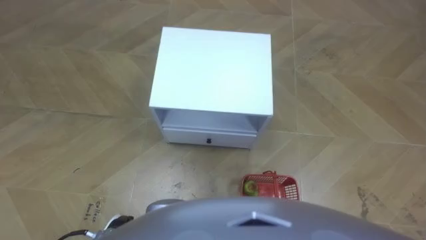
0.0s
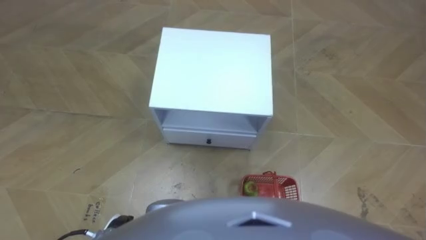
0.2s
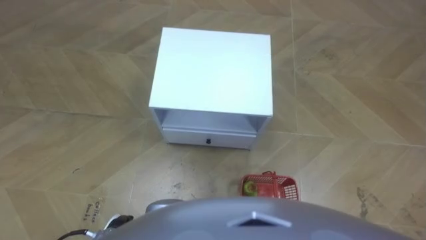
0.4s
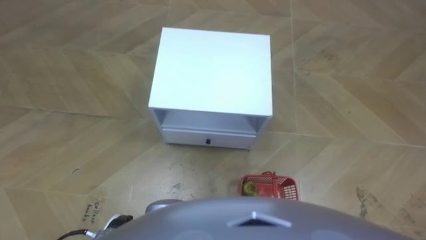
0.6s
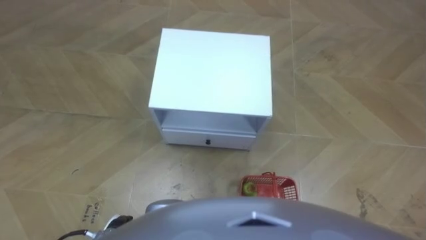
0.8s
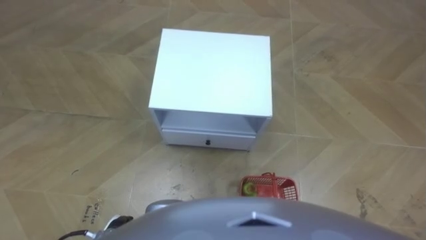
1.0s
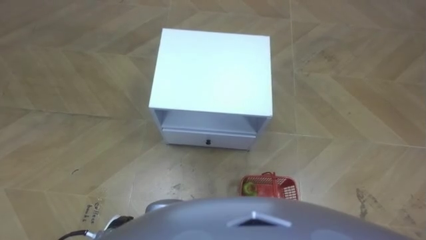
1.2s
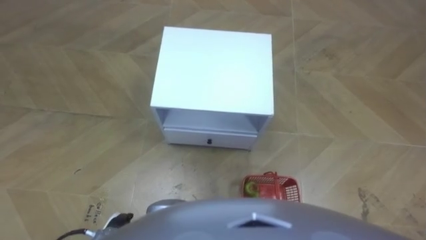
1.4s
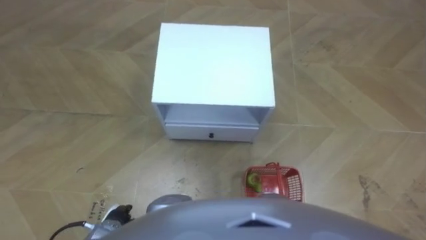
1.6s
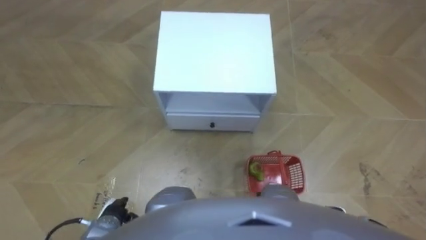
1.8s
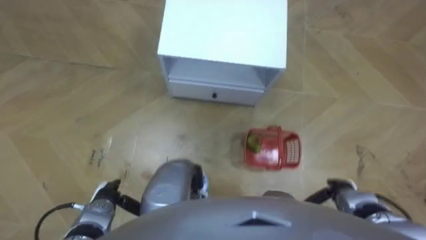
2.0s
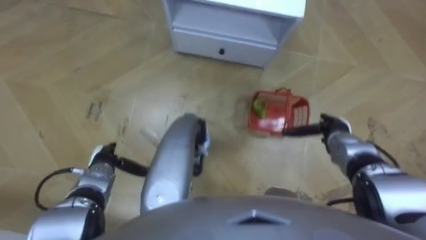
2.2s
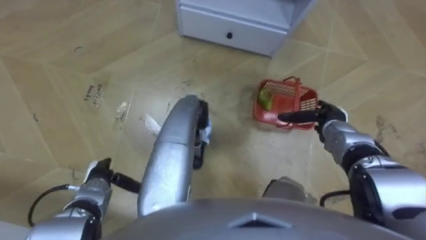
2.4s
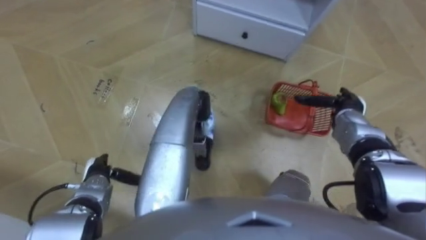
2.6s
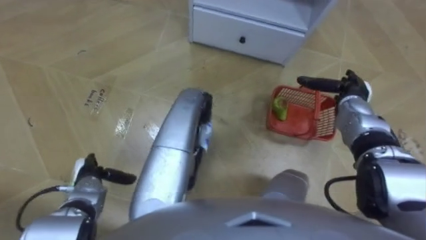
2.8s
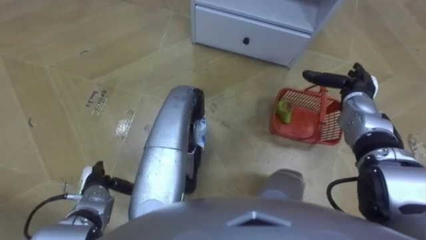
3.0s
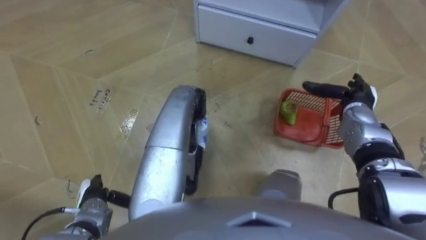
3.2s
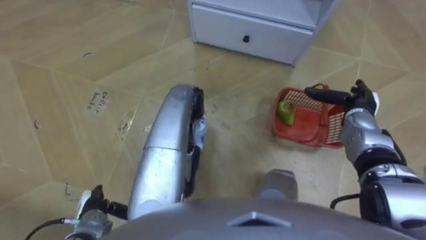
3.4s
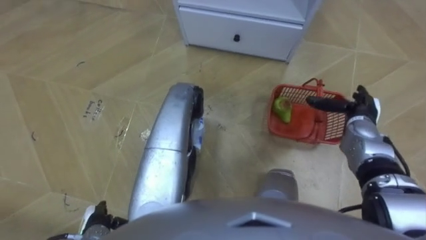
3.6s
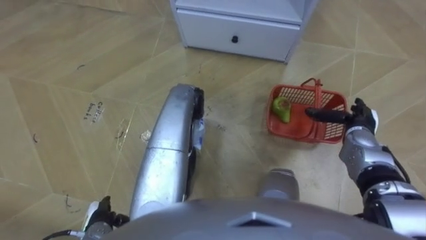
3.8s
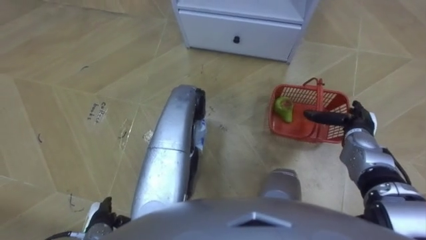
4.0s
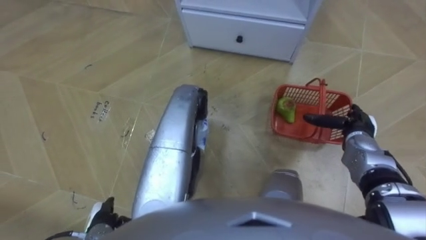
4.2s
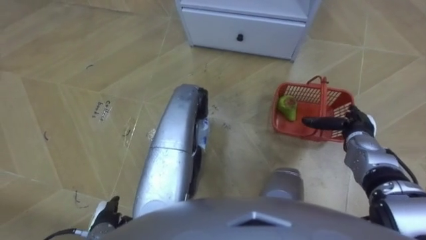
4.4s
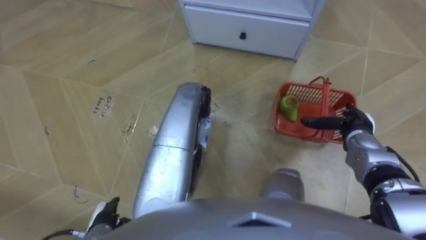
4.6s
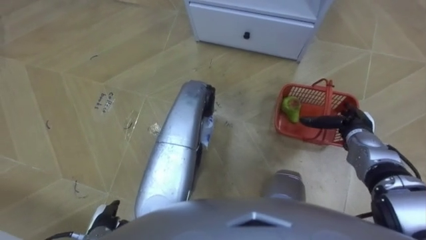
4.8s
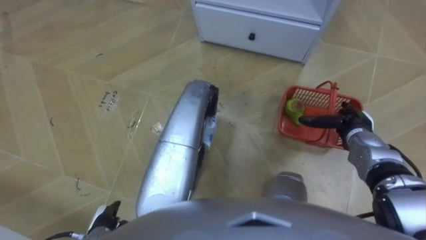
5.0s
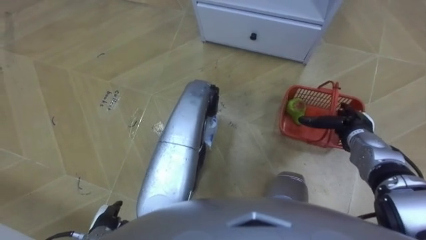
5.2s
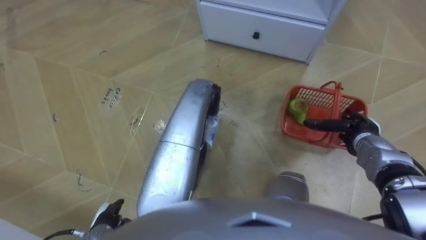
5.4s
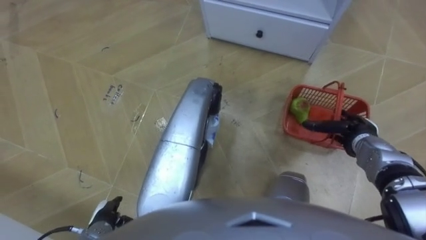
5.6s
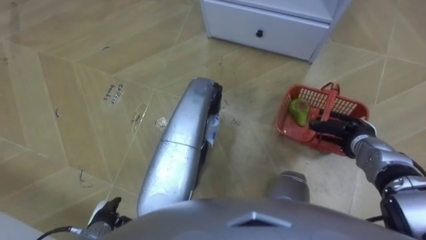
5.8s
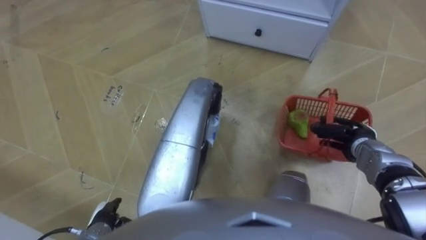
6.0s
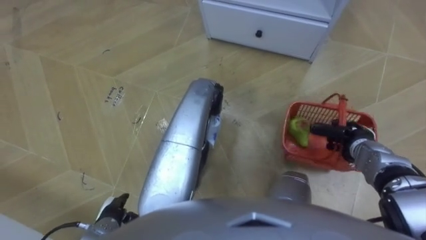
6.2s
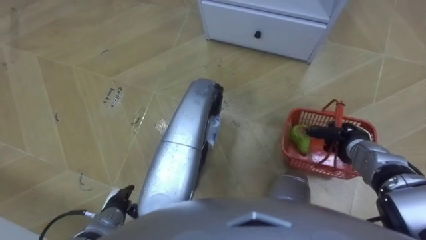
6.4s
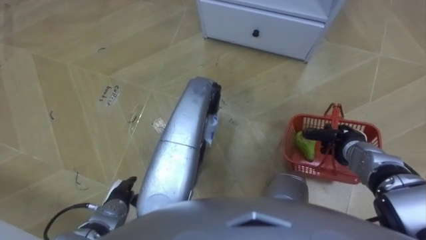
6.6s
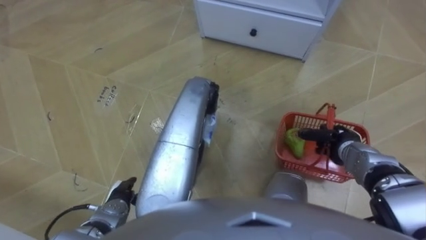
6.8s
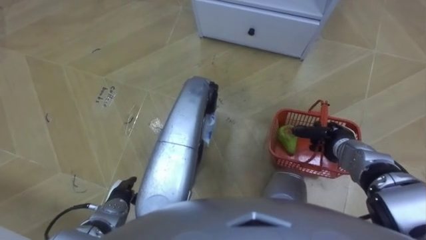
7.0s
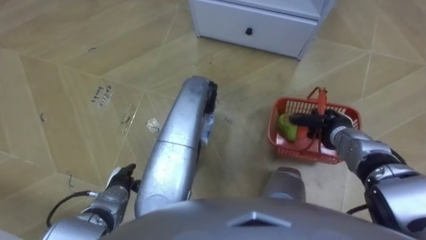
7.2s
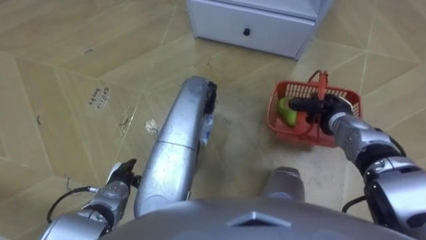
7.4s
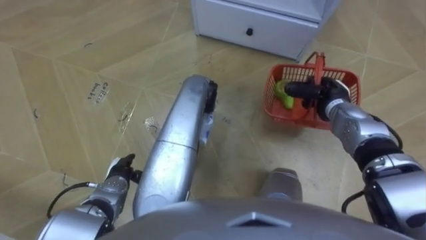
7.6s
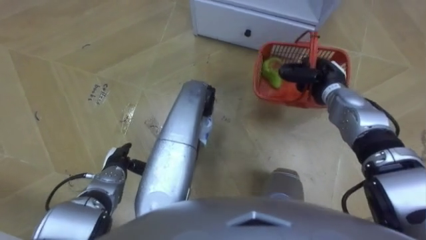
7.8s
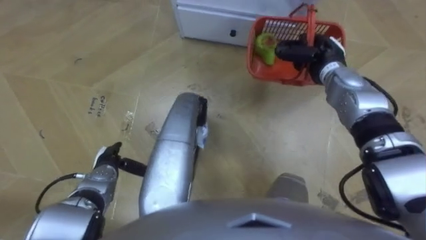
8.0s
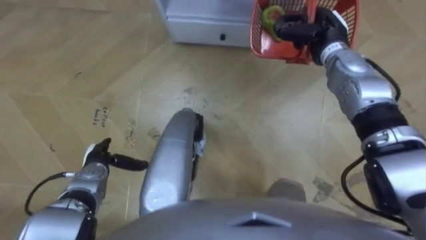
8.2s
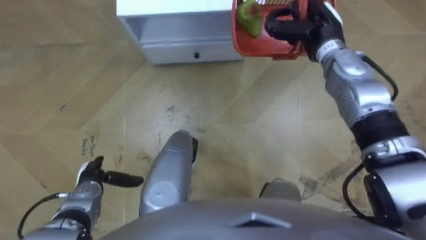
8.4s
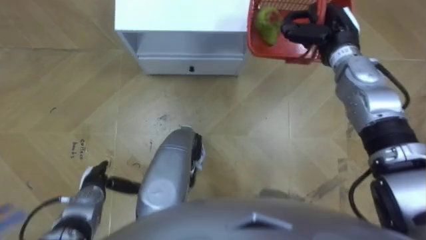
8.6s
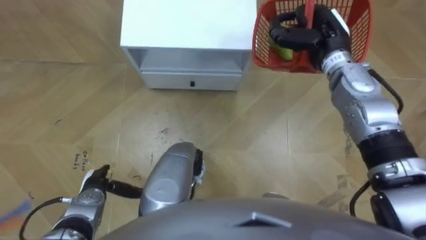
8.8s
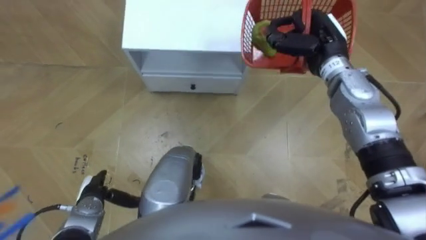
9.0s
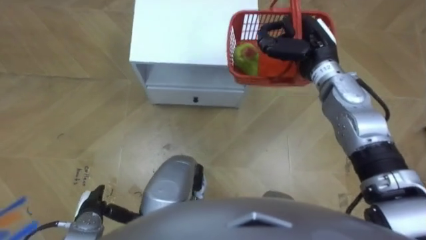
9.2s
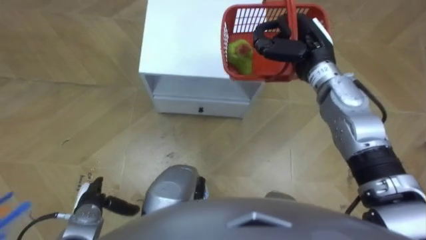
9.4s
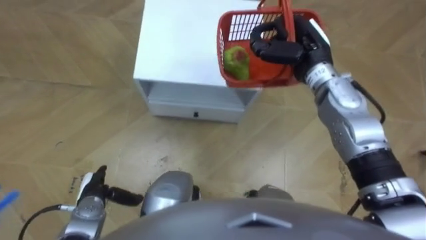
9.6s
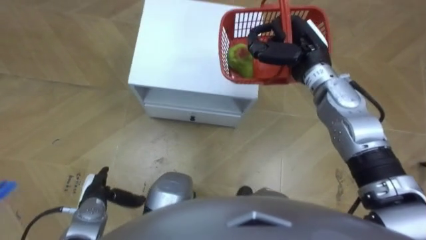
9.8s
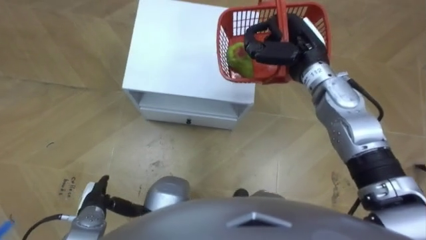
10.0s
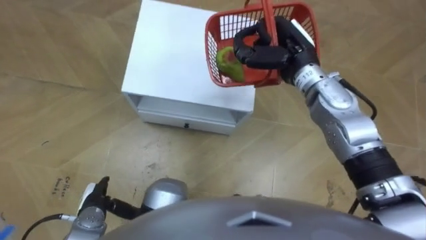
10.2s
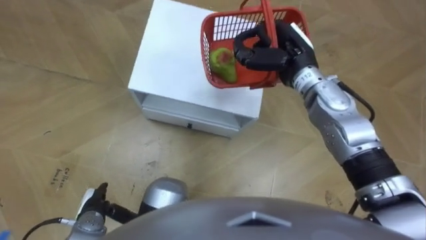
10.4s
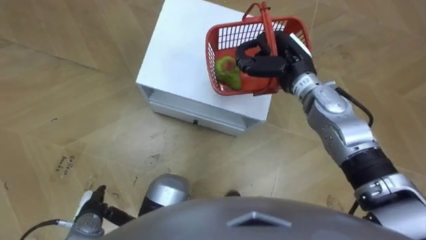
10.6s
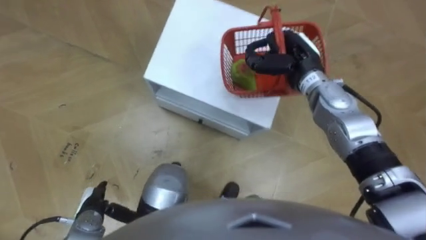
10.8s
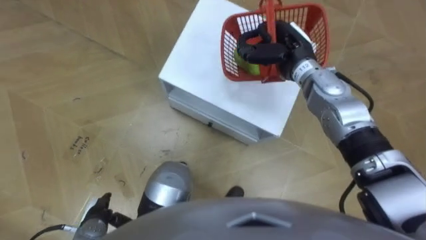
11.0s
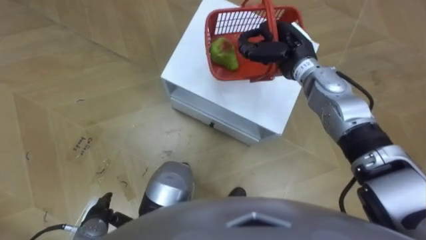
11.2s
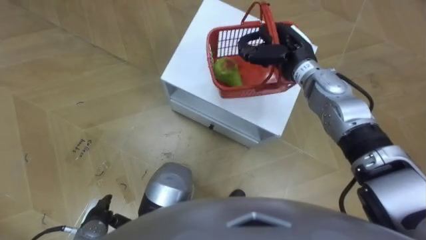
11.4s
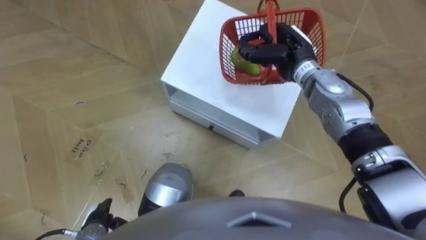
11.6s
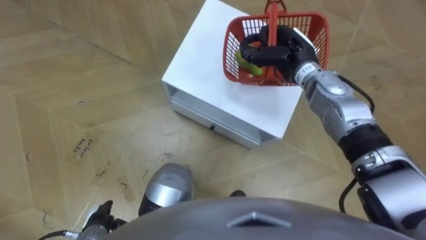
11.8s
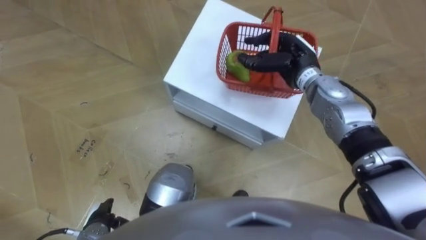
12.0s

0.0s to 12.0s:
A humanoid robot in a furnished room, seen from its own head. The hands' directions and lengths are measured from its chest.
Task of the whole recording: Pick up the fruit basket from the floor and place it on the cabinet.
1.6s to 3.0s: The right hand travels forward by about 30 cm. The left hand travels forward by some 10 cm.
3.0s to 4.4s: The two hands go about 10 cm backward.
4.4s to 6.0s: The right hand closes its fingers.
6.0s to 7.6s: The left hand is displaced forward by approximately 10 cm, while the right hand is displaced forward and to the left by roughly 10 cm.
7.6s to 9.0s: The robot faces roughly 20 degrees further to its right. The right hand shifts approximately 15 cm upward, forward and to the left. Meanwhile the left hand goes some 5 cm to the left.
9.0s to 10.4s: The right hand travels to the left by some 5 cm.
10.4s to 12.0s: The right hand is displaced downward by roughly 5 cm.

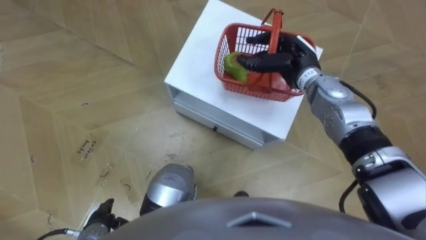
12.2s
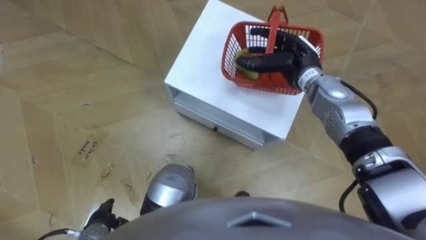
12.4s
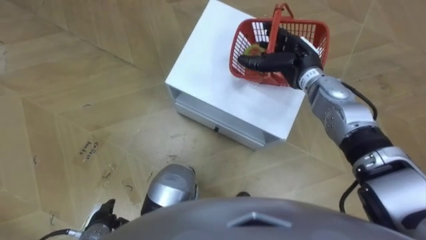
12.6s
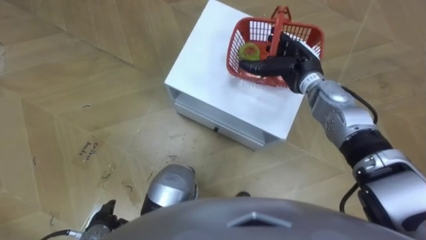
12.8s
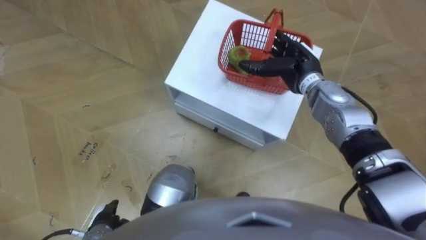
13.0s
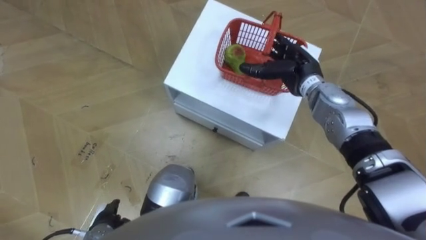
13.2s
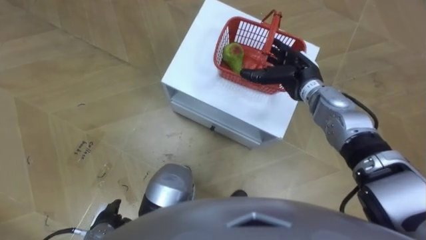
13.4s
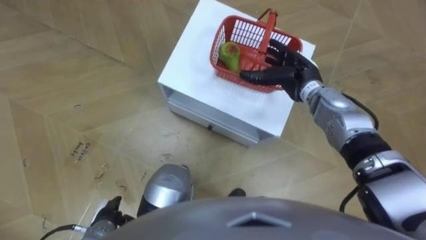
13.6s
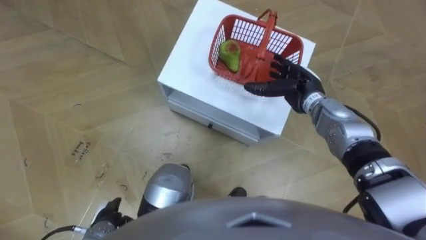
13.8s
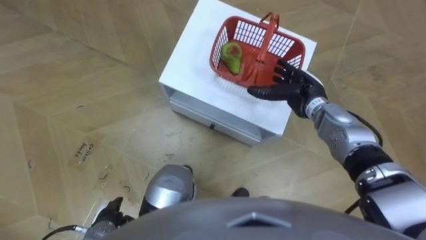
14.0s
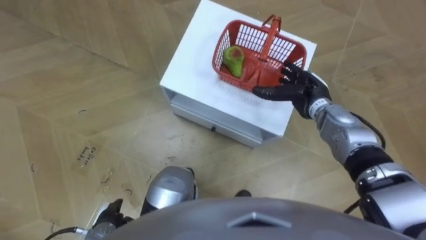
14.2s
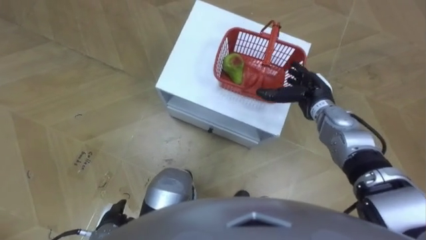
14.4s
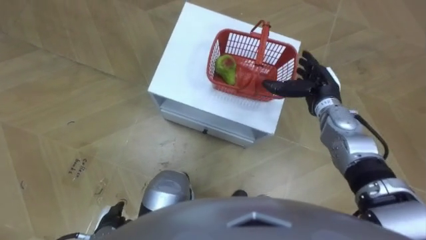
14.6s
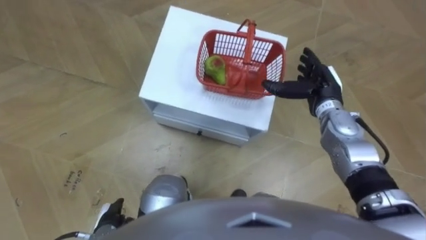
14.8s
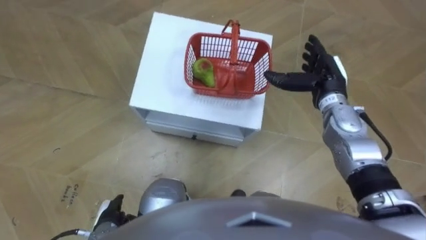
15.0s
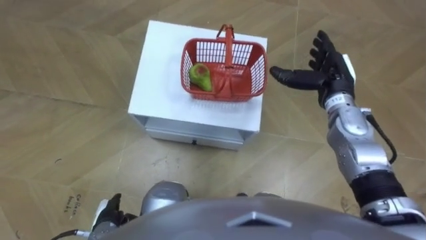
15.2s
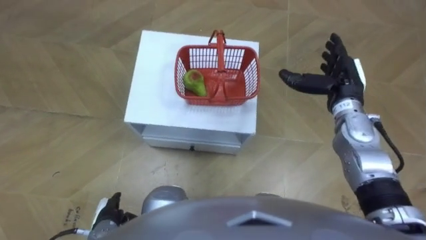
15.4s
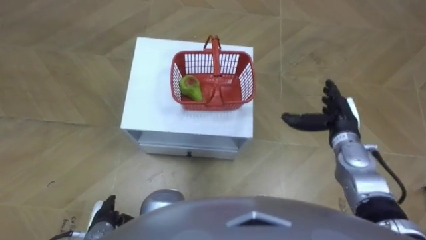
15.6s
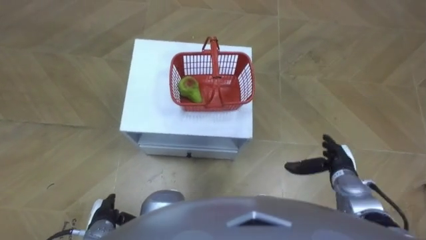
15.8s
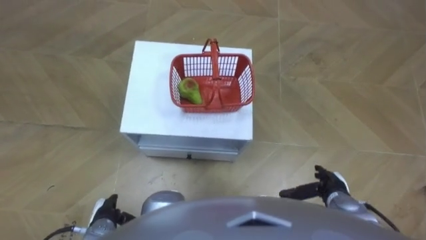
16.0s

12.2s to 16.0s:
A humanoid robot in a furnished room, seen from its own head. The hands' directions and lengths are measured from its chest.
Task of the whole recording: Pick up the fruit basket from the floor and place it on the cabinet.
12.2s to 13.4s: The right hand opens its fingers.
13.4s to 14.8s: The right hand changes place by some 5 cm.
14.8s to 16.0s: The right hand shifts approximately 25 cm backward and downward.

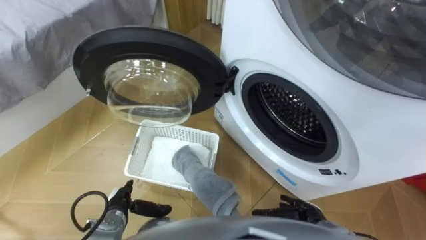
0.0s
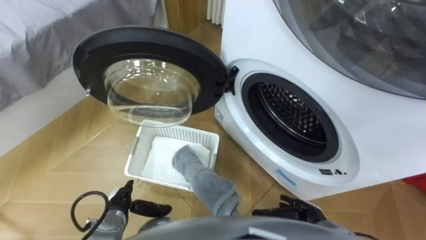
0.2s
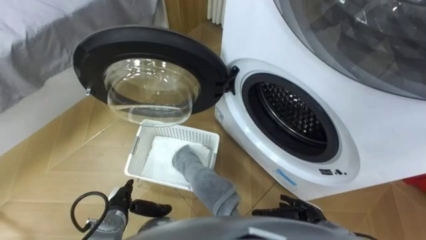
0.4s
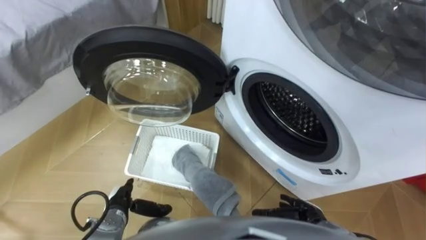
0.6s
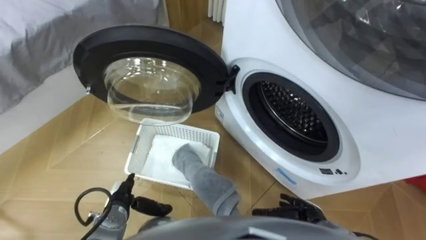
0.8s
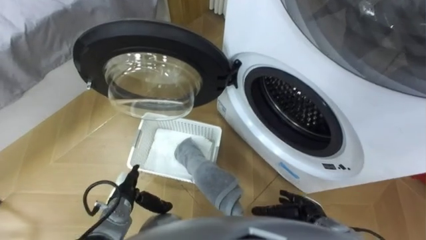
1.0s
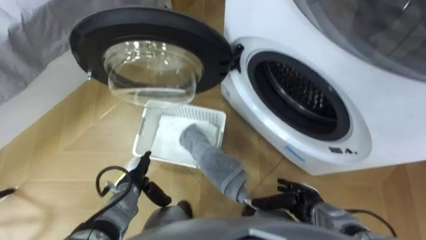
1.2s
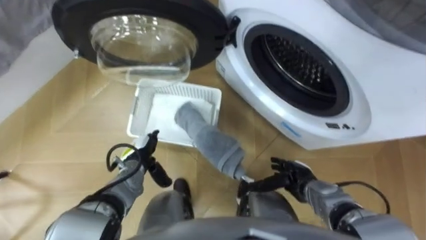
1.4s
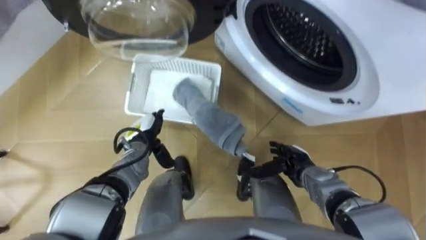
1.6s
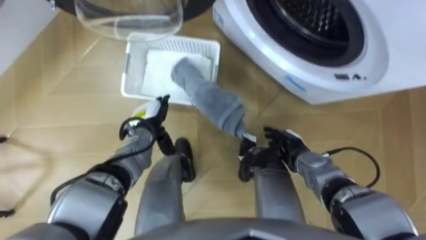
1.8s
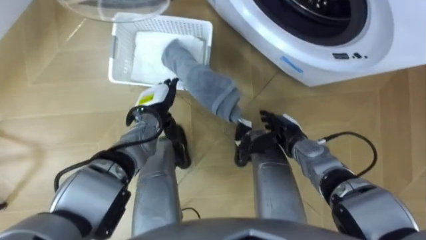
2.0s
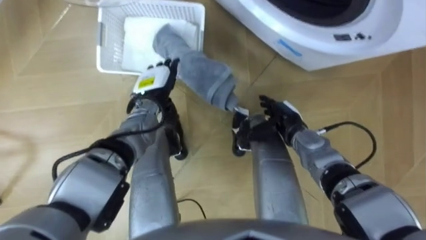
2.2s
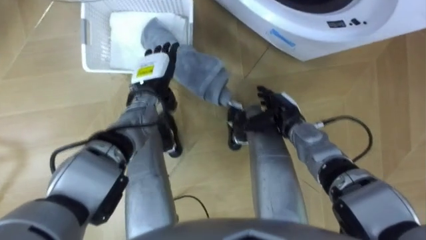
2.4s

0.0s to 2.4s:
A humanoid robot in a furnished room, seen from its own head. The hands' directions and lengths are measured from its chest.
Task of the whole recording: Take the towel from the basket and put it into the washing machine.
1.2s to 2.4s: Both hands travel together forward and upward, about 20 cm.
